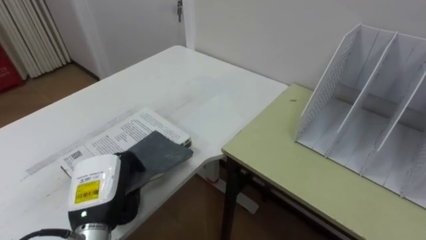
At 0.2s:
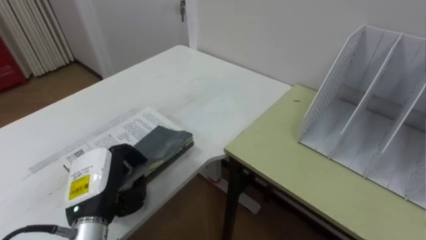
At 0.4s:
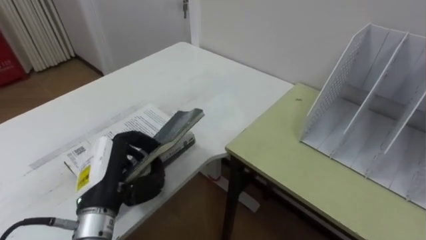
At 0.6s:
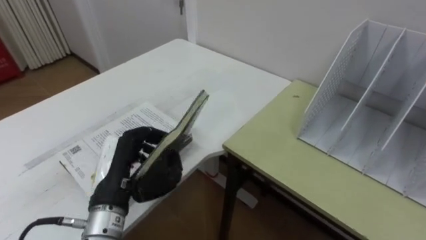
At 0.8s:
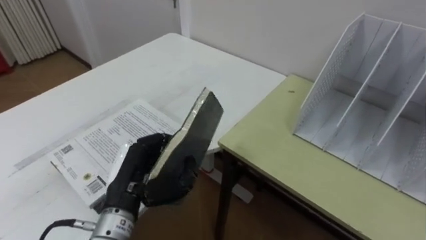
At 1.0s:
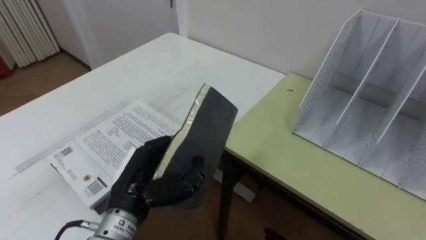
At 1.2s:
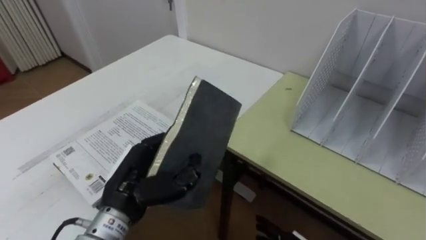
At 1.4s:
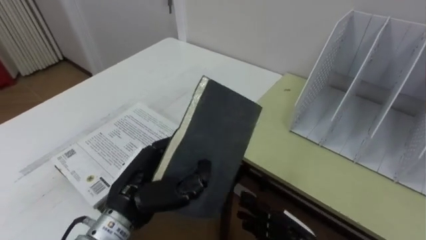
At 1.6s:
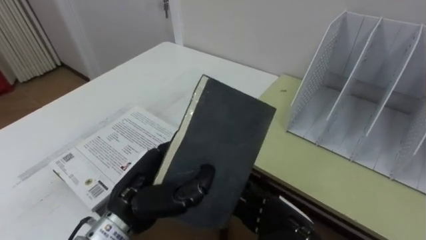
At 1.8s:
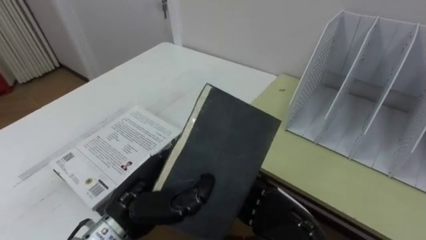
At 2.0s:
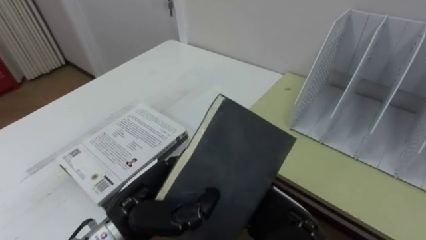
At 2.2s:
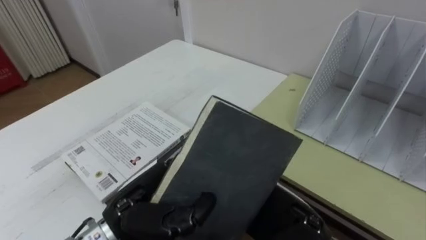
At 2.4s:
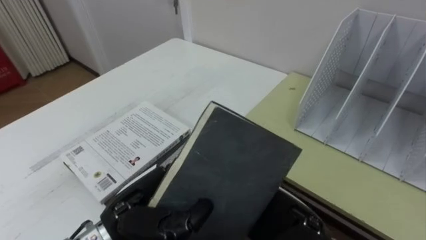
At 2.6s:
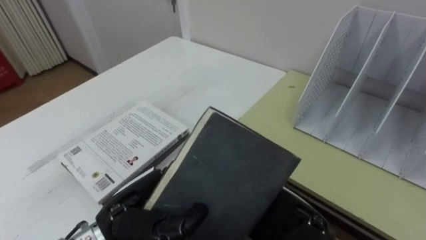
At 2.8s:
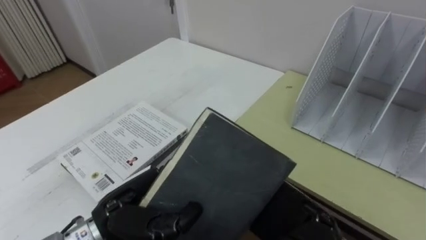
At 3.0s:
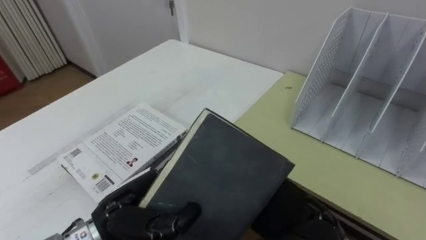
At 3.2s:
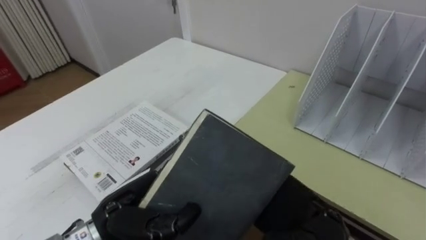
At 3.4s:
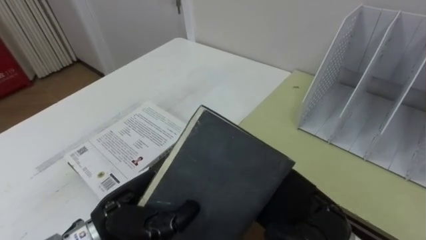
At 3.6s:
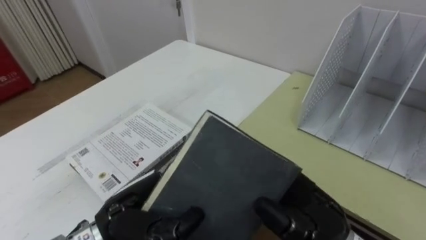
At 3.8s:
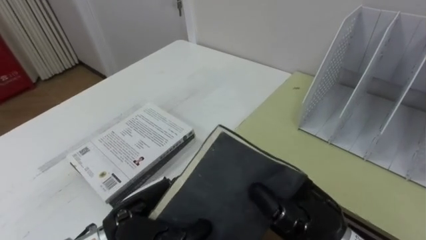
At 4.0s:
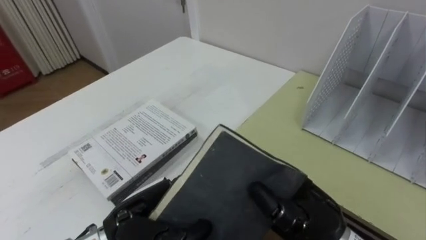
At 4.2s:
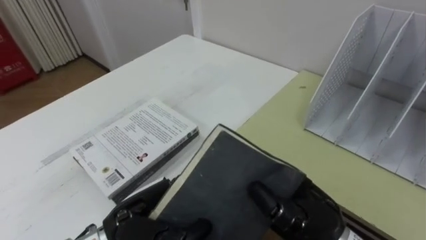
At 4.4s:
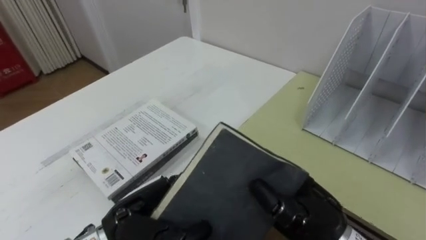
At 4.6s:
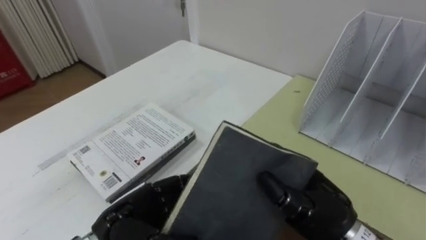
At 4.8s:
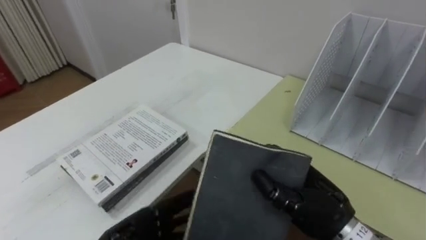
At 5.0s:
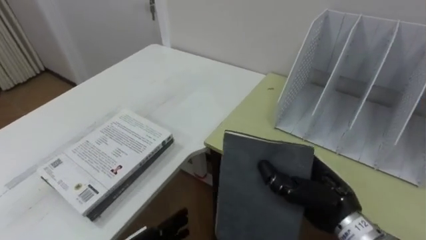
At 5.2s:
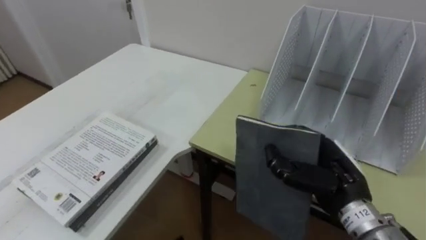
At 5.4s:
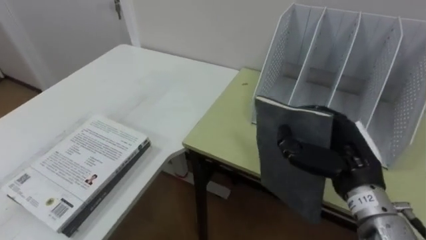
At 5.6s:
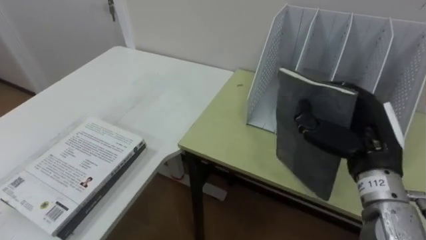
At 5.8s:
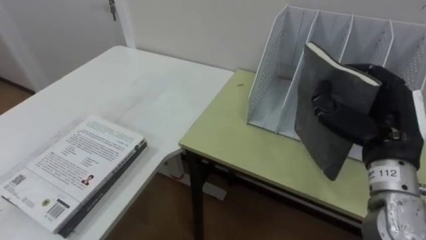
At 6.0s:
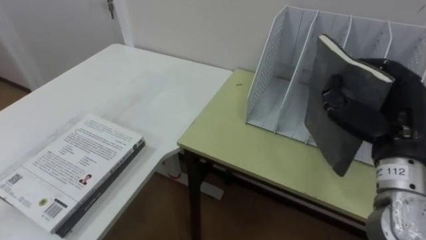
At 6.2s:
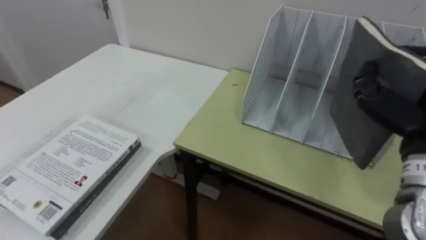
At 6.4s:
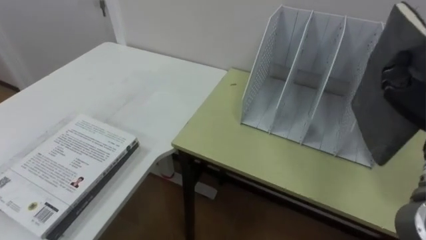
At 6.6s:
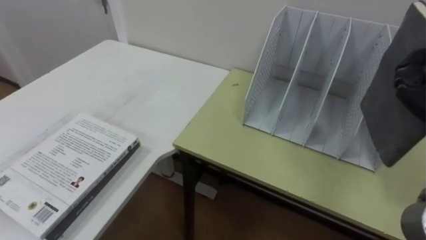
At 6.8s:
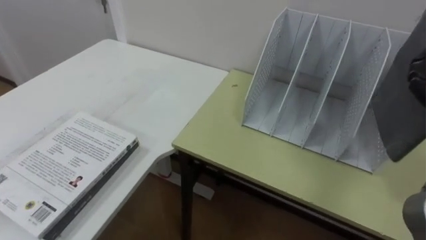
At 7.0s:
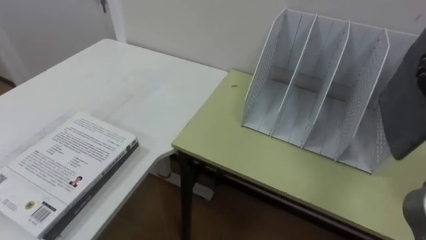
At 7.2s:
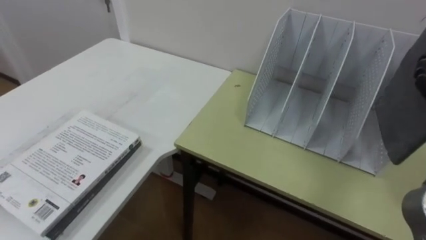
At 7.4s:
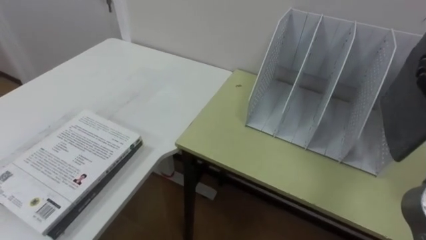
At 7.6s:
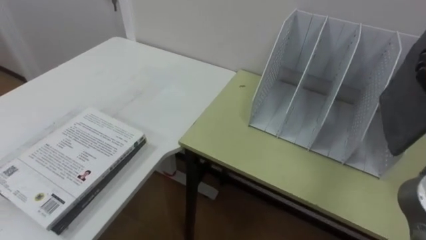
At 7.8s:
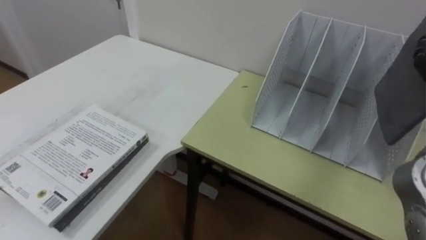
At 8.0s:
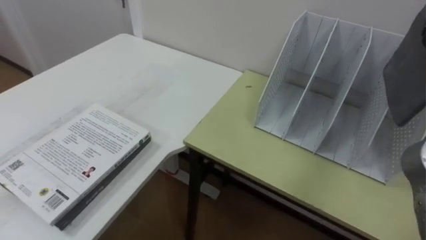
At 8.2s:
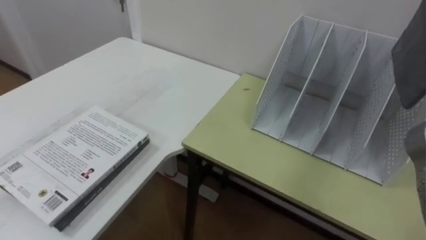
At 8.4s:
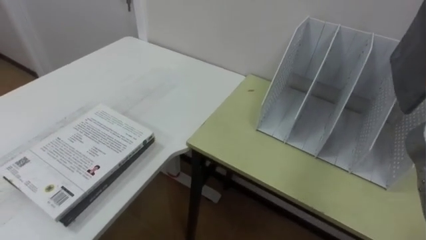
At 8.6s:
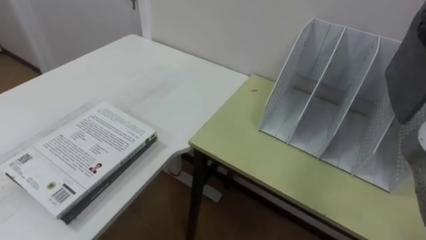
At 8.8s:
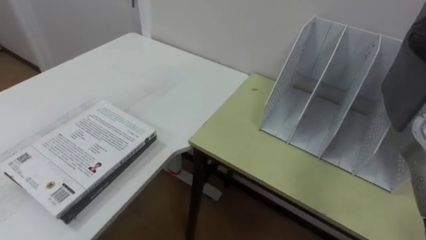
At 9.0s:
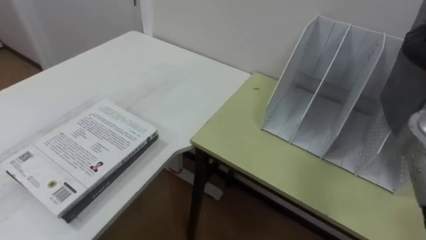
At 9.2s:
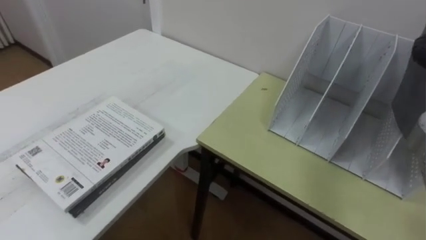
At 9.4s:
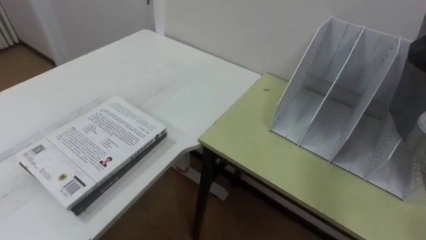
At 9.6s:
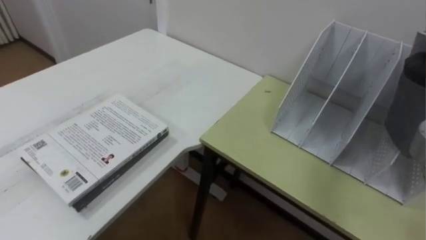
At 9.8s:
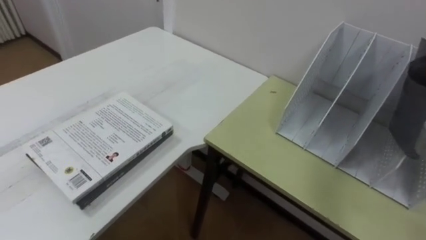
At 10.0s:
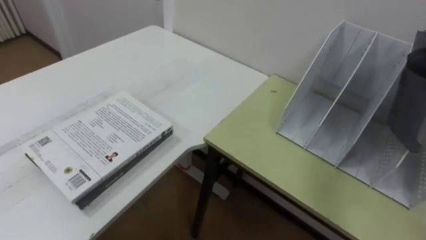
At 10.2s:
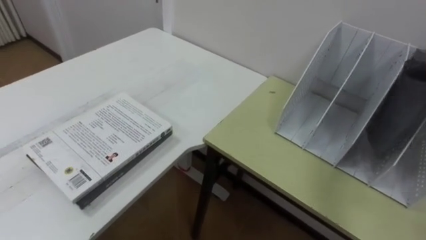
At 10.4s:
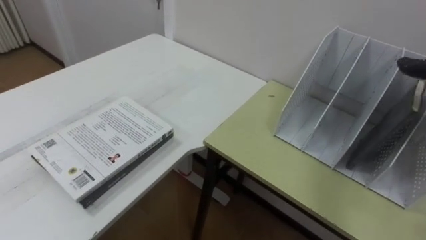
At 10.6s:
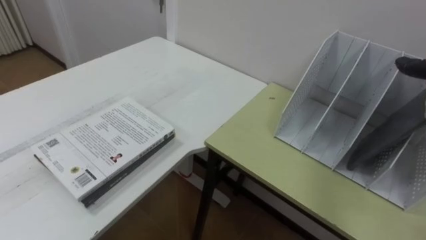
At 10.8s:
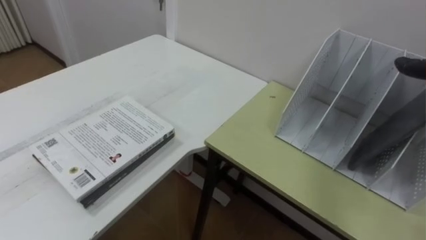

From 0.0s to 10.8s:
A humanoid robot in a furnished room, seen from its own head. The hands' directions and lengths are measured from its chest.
Task of the whole recording: Put the books on the table onto the bookshelf.
From 0.0s to 1.6s: The left hand goes about 10 cm to the right.
From 1.6s to 3.0s: The right hand goes approximately 10 cm upward.
From 3.0s to 4.6s: The right hand closes its fingers.
From 4.6s to 6.2s: The right hand shifts approximately 15 cm to the right and upward.

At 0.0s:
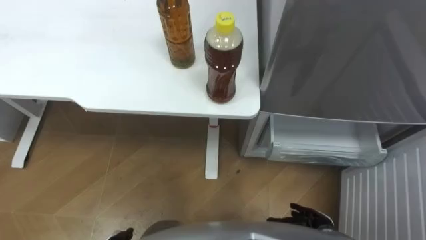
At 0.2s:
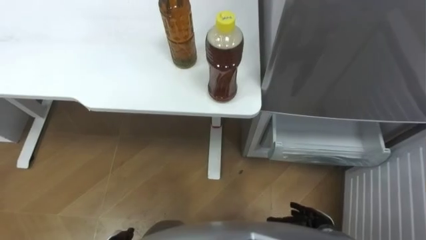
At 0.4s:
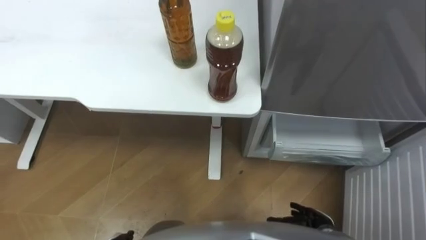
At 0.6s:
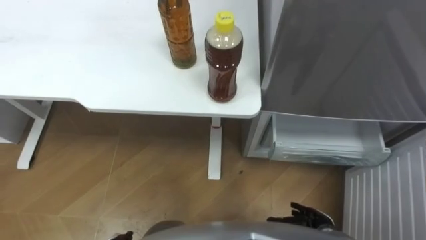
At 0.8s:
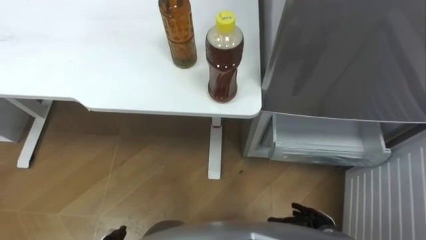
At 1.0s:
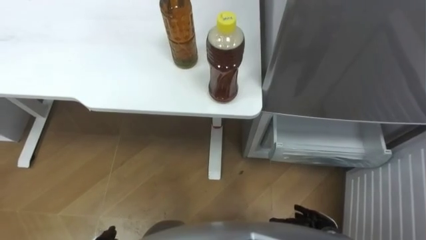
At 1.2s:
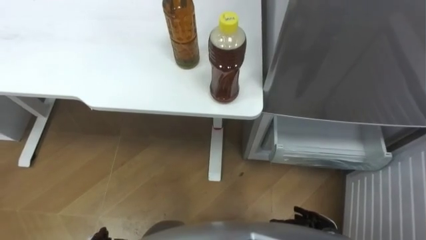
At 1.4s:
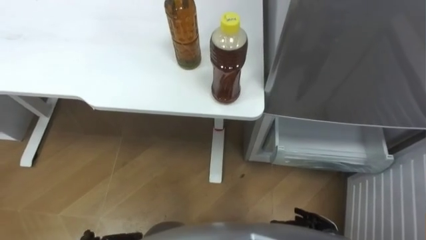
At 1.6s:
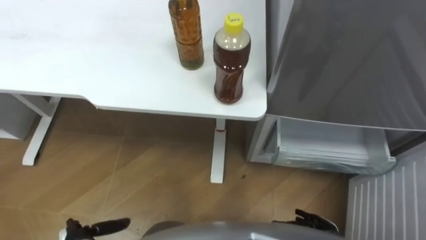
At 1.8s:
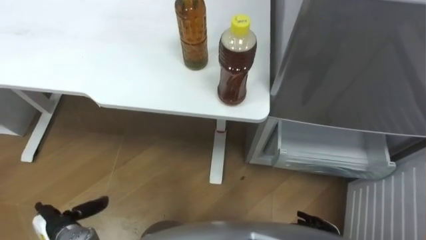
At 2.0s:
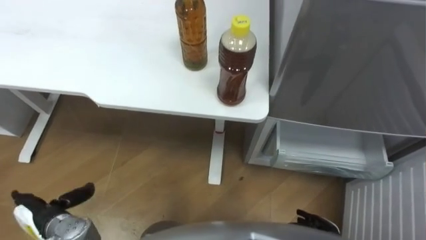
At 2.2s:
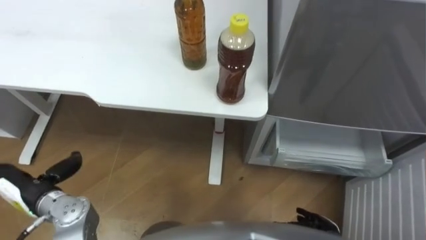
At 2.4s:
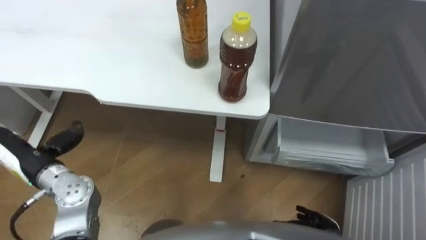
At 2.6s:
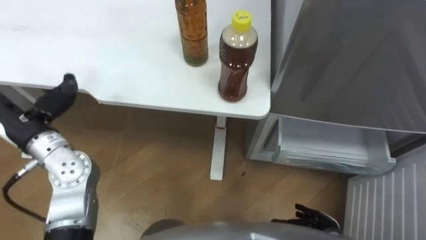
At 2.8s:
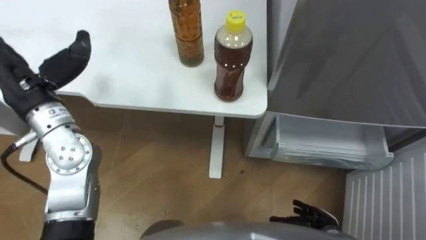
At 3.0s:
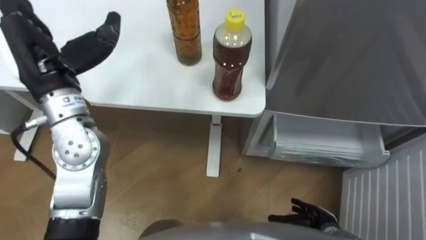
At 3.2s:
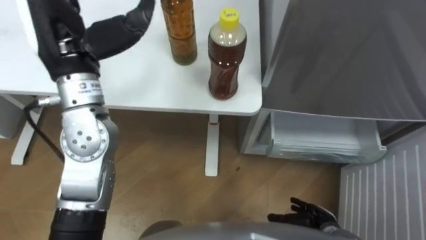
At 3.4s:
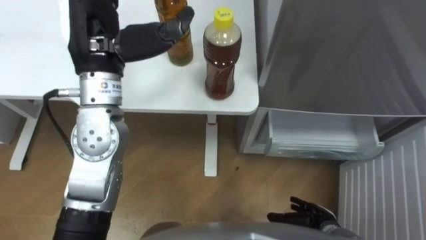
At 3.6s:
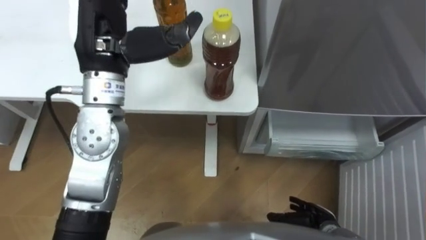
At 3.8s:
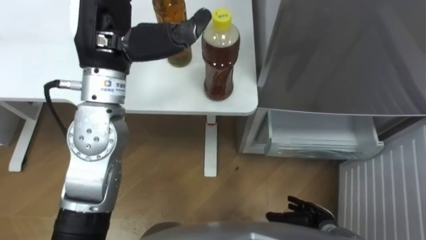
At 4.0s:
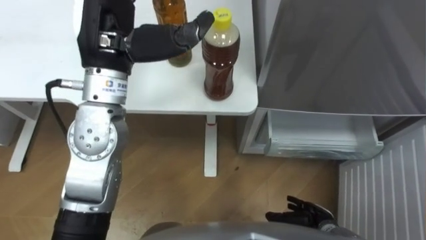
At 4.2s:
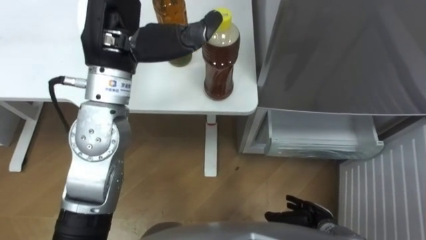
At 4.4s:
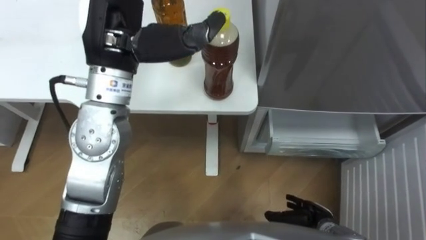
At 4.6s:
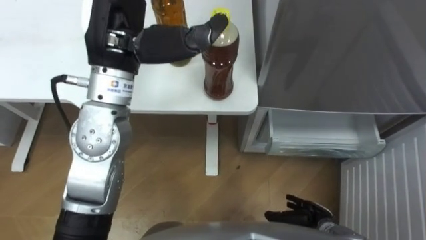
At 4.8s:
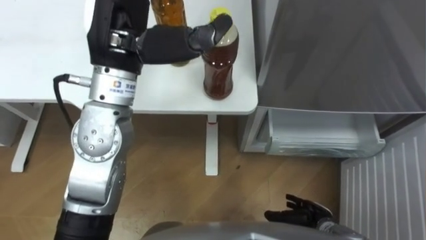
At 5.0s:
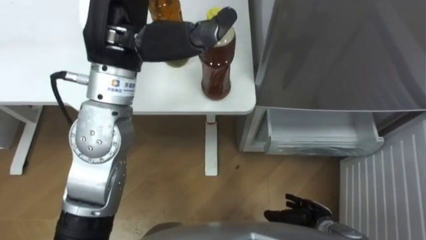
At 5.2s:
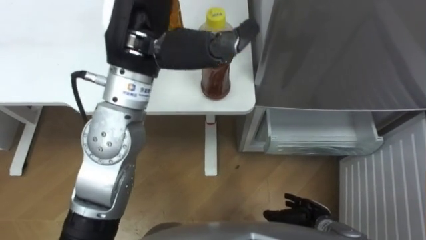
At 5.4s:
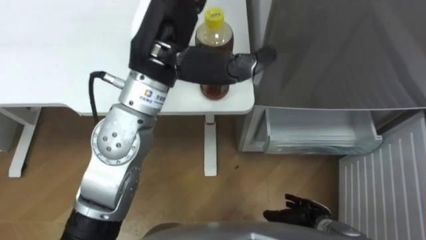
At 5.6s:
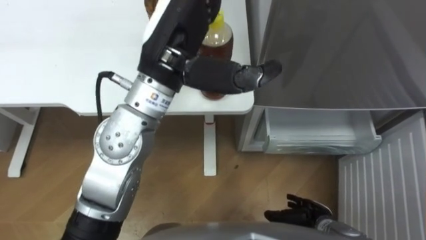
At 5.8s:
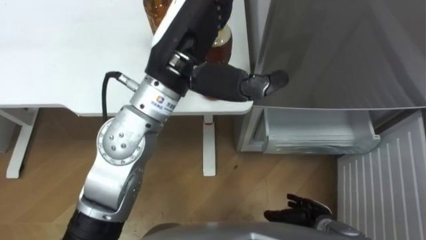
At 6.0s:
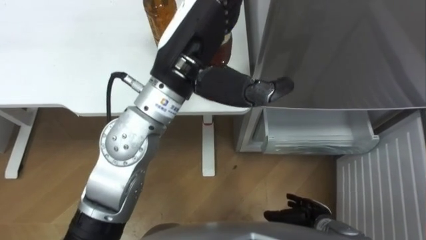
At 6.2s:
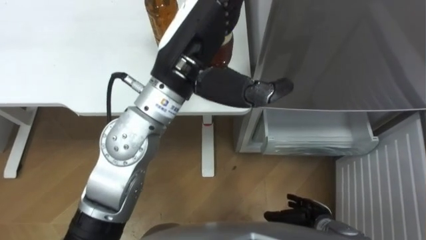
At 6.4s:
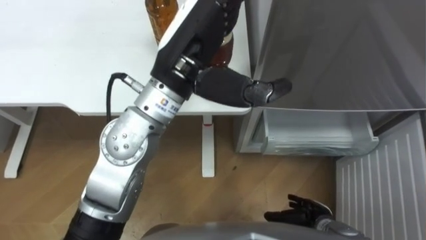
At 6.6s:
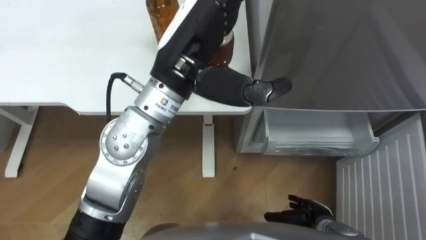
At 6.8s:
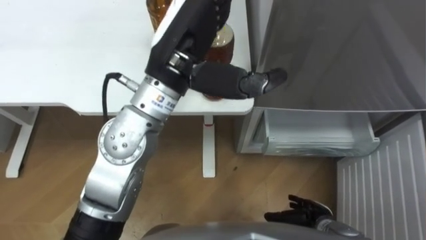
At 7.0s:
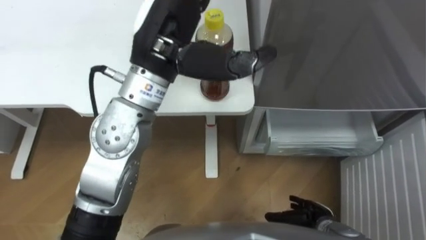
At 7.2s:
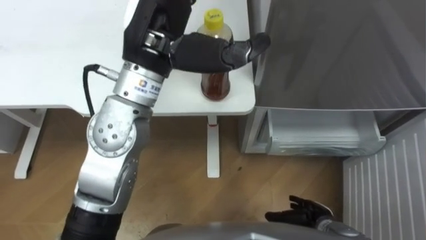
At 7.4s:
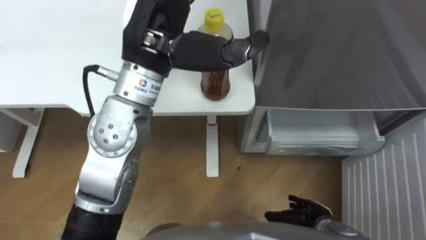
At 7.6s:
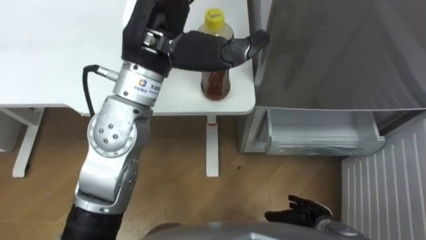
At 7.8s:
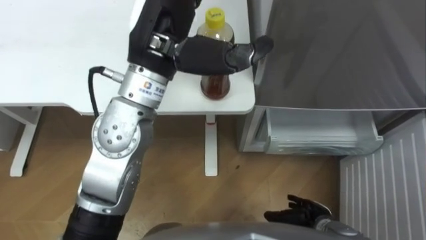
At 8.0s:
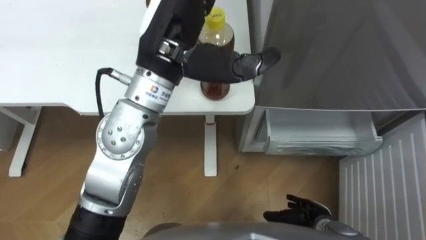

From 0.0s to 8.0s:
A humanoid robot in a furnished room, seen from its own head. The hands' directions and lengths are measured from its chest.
Task of the whole recording: Place the drink on the table on the bottom shelf of the refrigerator, then close the drawer and the refrigerator door.
From 3.2s to 4.8s: The left hand travels to the right by some 10 cm.
From 4.8s to 6.4s: The left hand moves to the right, some 10 cm.
From 6.4s to 8.0s: There are only small adjustments of the hands.
